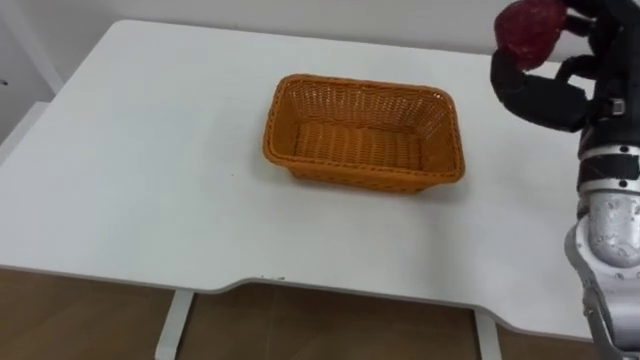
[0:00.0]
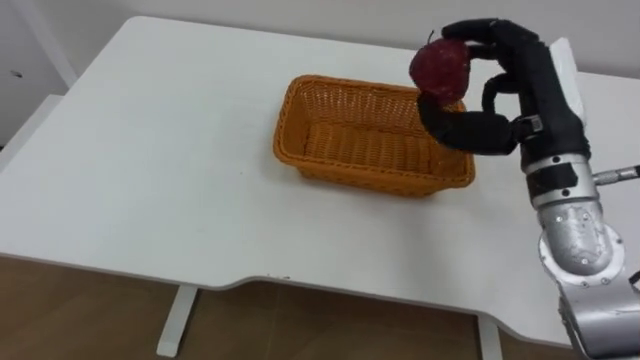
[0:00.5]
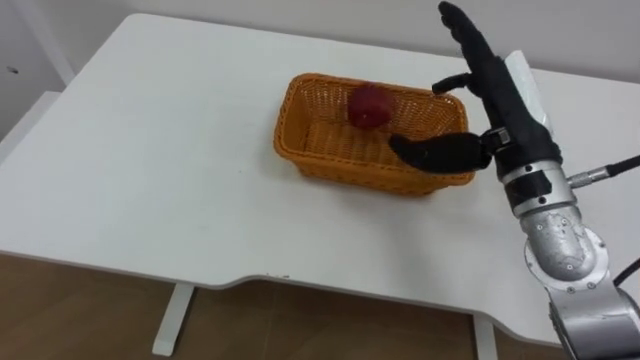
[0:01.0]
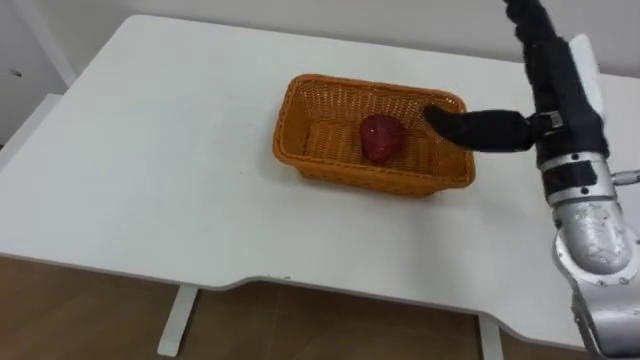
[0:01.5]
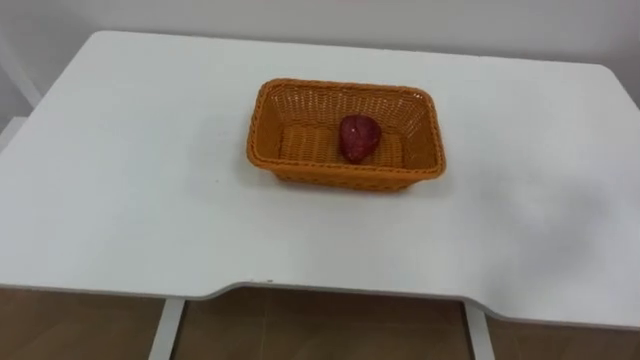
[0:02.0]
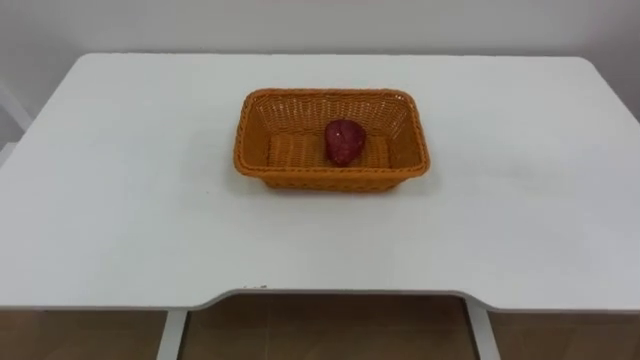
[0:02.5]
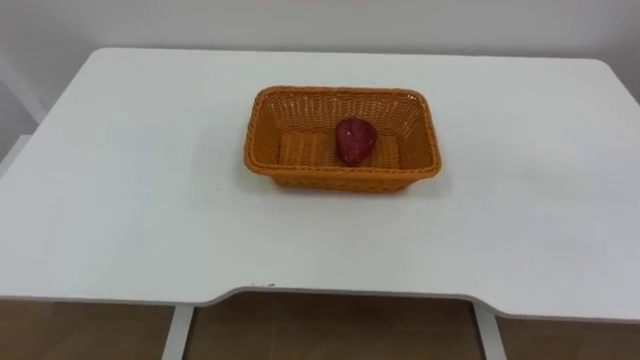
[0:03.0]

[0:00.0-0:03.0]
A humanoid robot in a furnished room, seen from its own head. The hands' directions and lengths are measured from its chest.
Task of the whole recording: Pick the apple and place it in the box.
0:00.0 to 0:01.5: The right hand goes approximately 5 cm to the left, and opens.

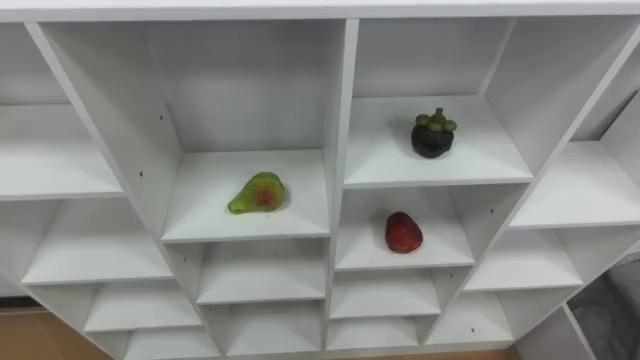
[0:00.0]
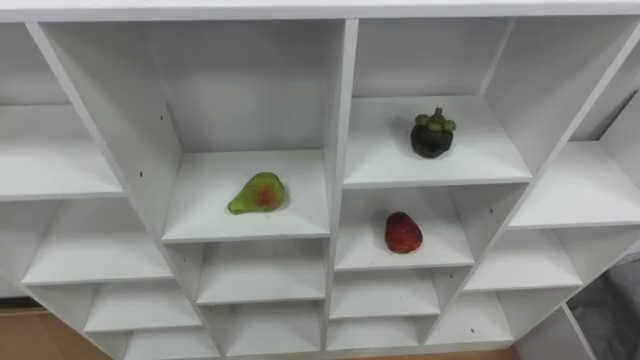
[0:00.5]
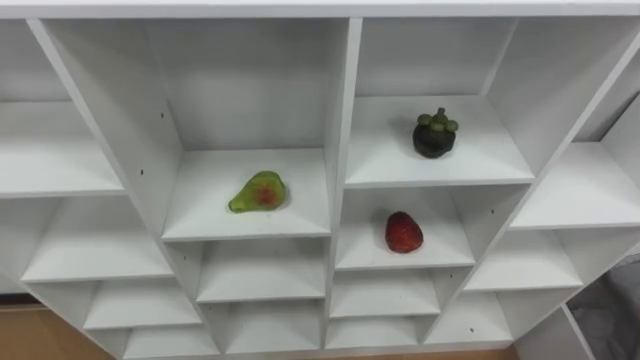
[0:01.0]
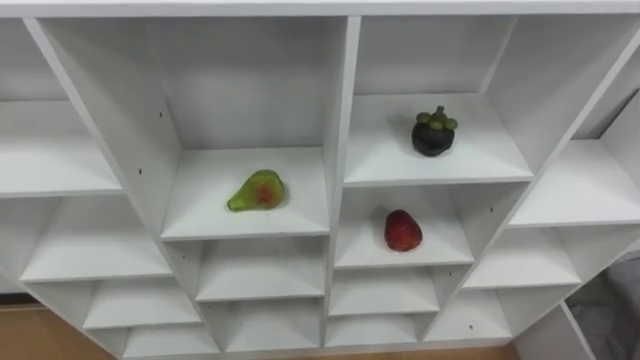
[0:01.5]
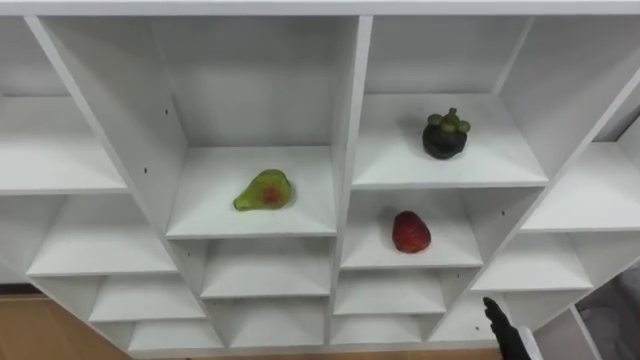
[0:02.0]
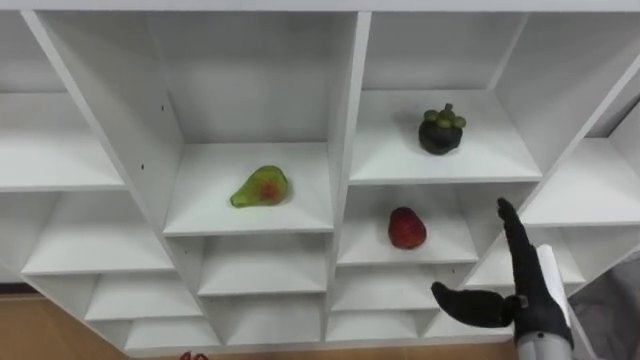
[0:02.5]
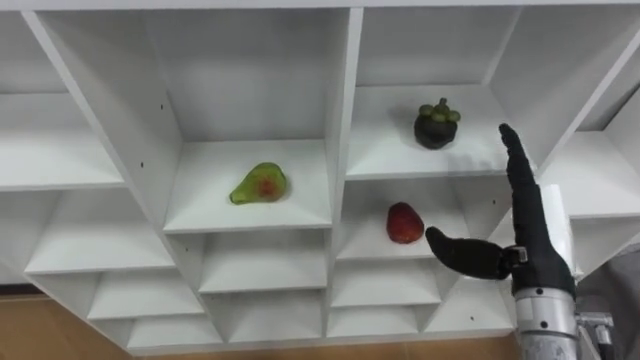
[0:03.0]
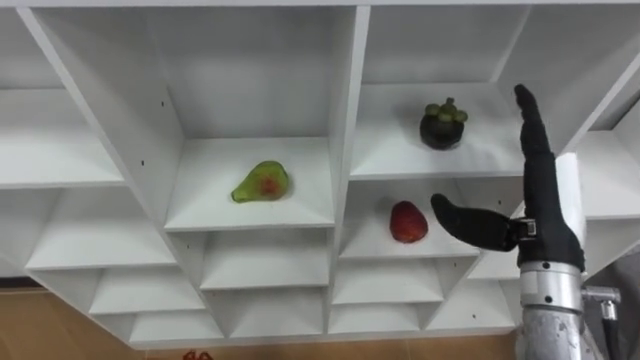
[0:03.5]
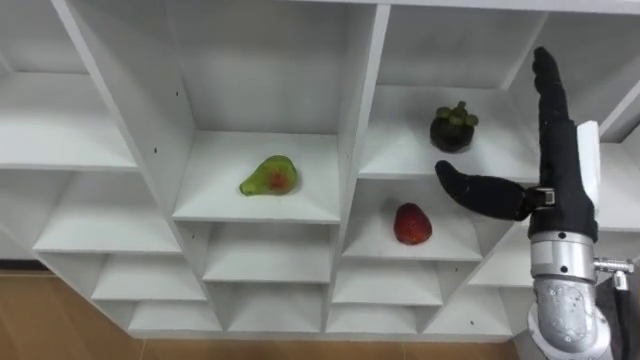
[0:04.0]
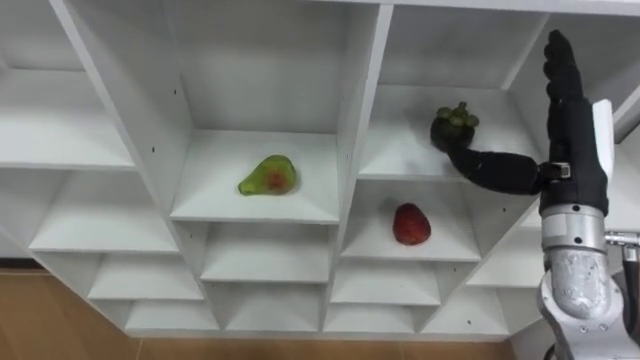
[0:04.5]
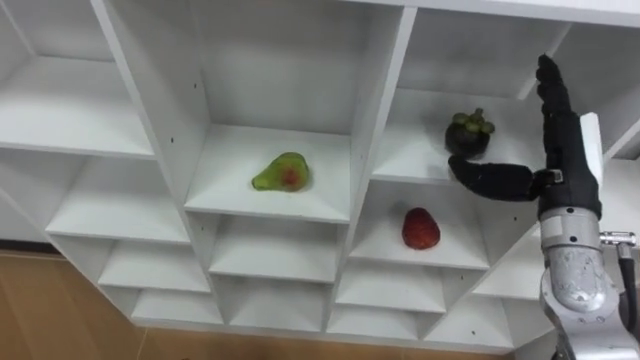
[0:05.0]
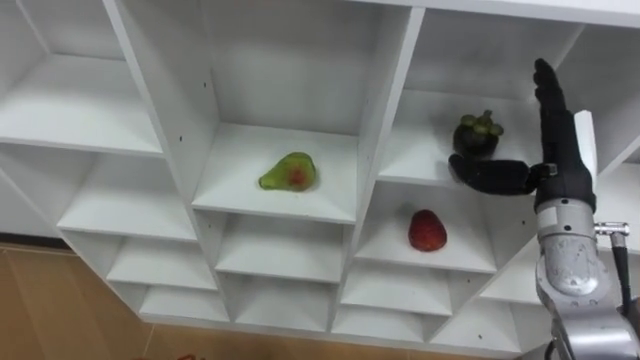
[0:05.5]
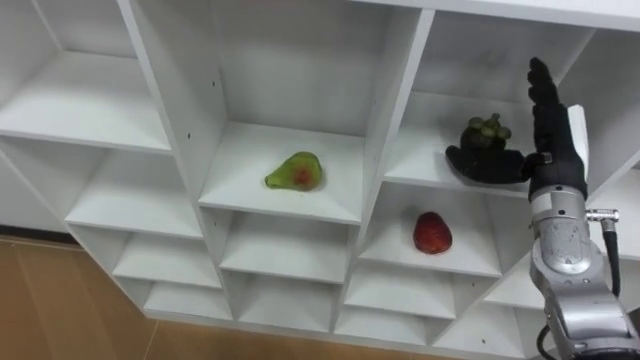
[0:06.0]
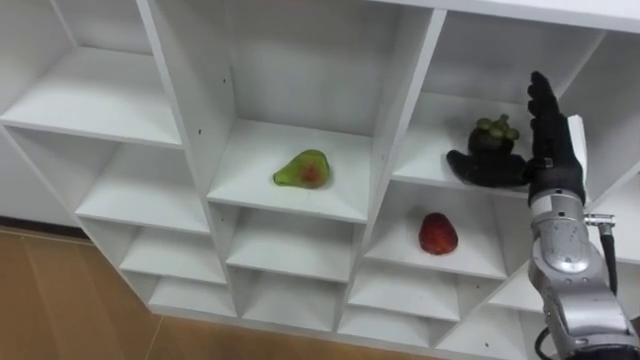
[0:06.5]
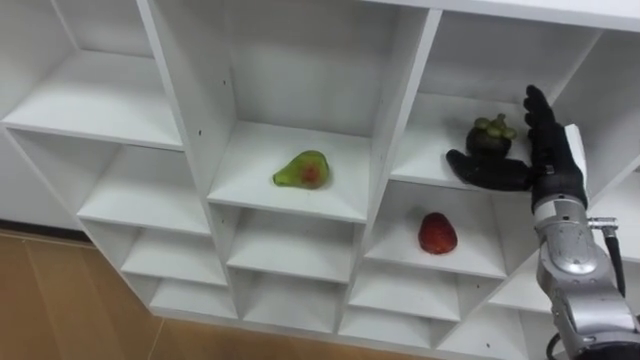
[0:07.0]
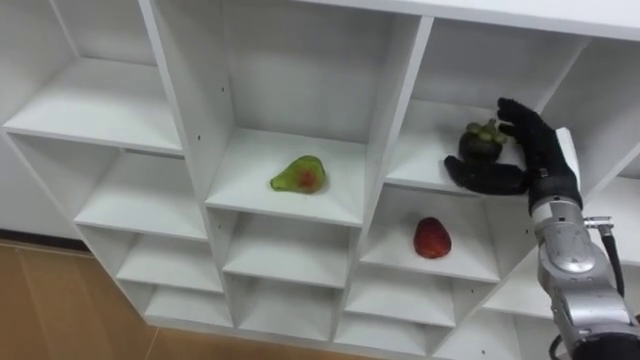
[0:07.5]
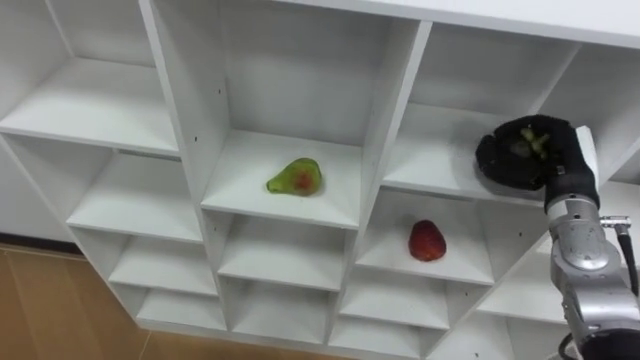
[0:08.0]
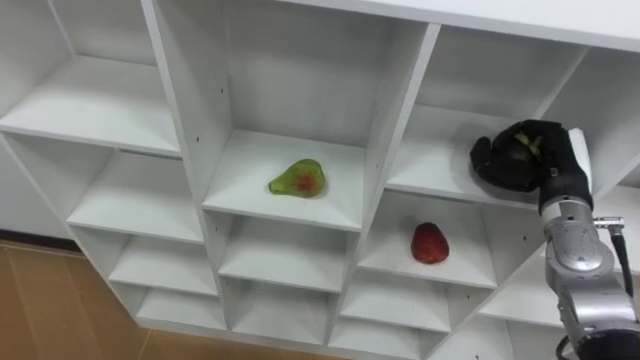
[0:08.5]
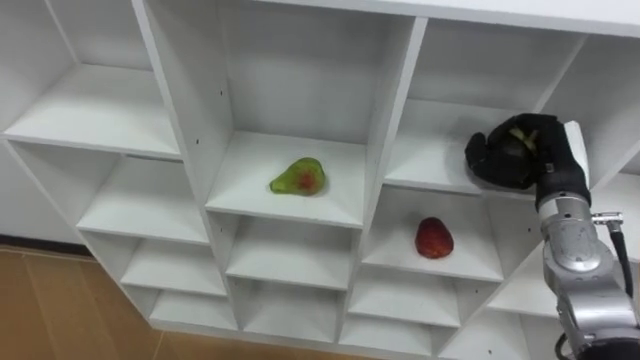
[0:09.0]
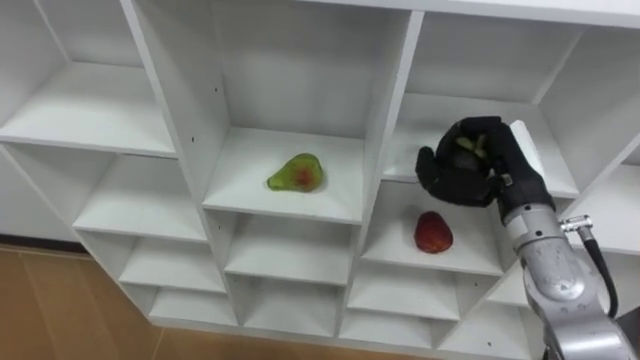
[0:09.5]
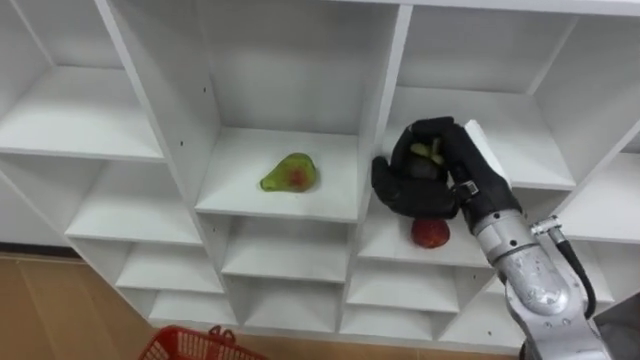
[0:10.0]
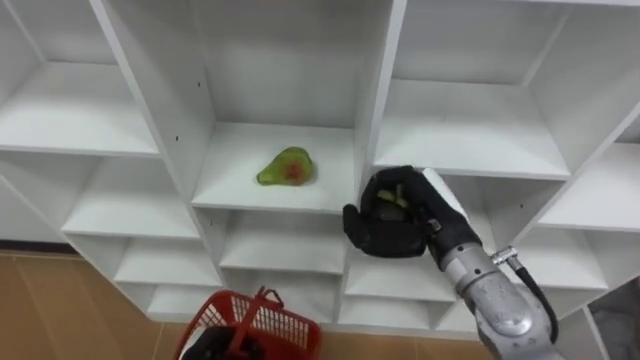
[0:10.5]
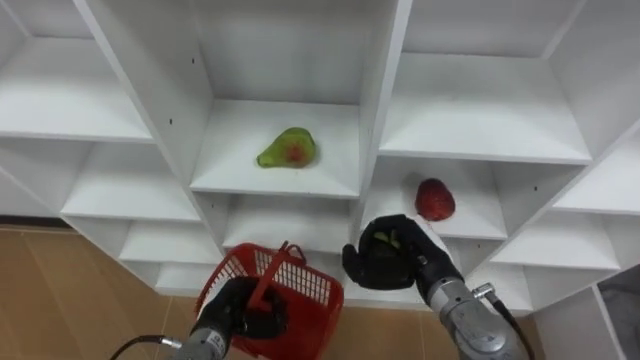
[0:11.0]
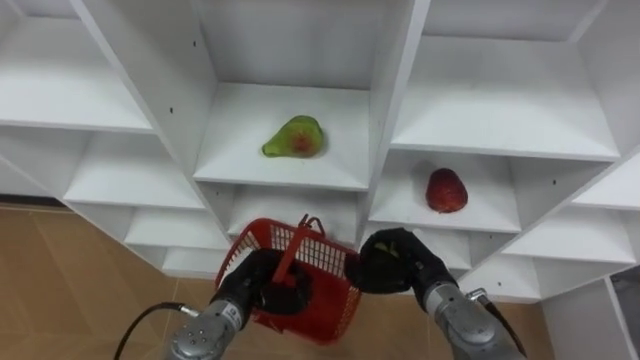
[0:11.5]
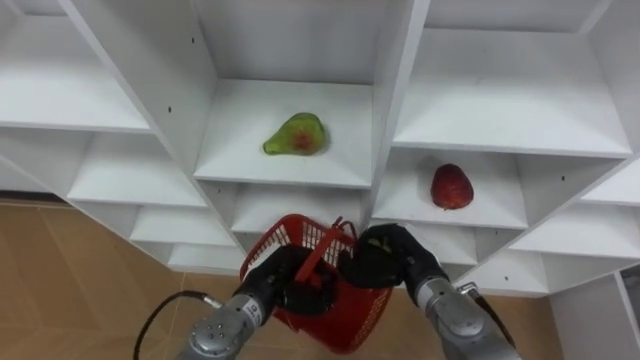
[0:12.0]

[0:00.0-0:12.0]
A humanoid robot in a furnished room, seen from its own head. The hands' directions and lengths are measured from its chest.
Task of the whole recording: Hold the basket and collect the fruits from 3 different cells of the closet into it.
0:04.0 to 0:06.0: The right hand travels forward by some 5 cm.
0:06.0 to 0:08.0: The right hand shifts by about 5 cm, and closes up.
0:08.0 to 0:10.0: The right hand goes about 15 cm to the left and upward.
0:10.0 to 0:12.0: The right hand moves downward, roughly 15 cm.

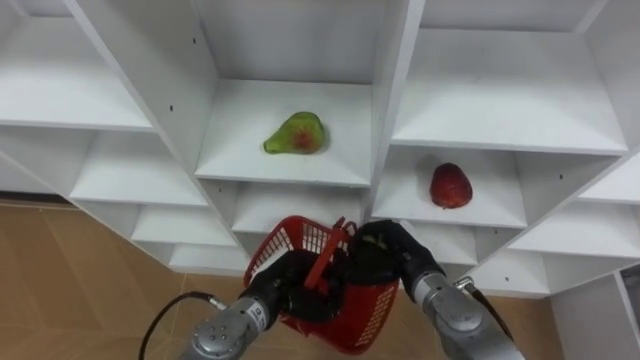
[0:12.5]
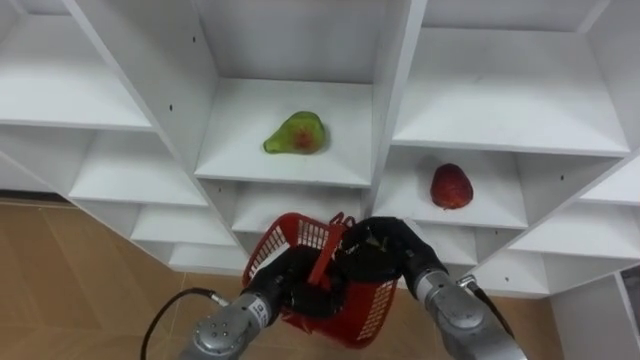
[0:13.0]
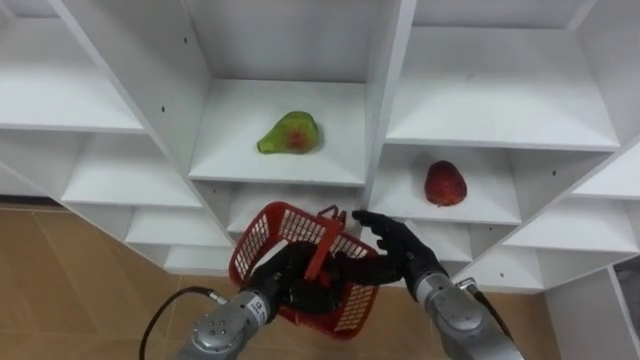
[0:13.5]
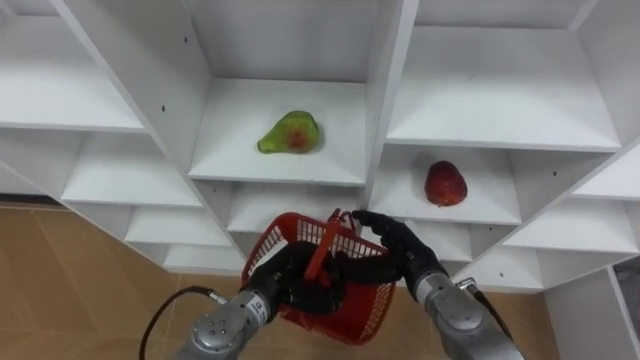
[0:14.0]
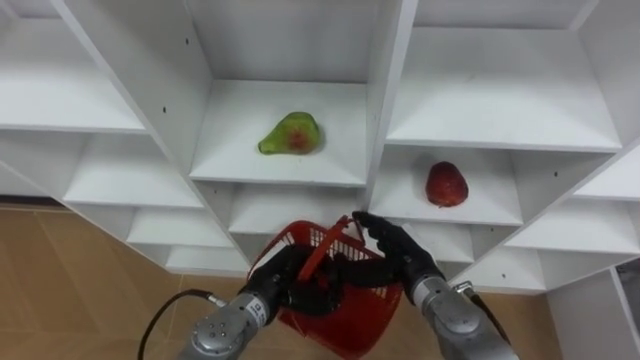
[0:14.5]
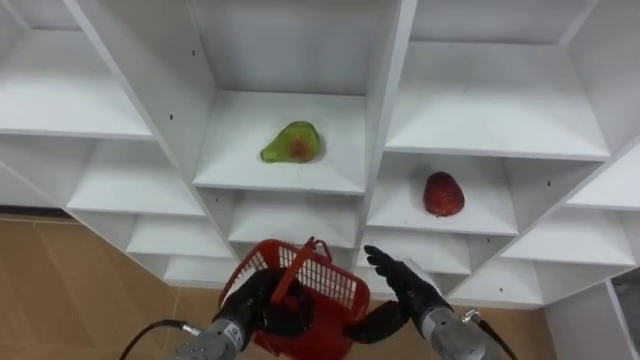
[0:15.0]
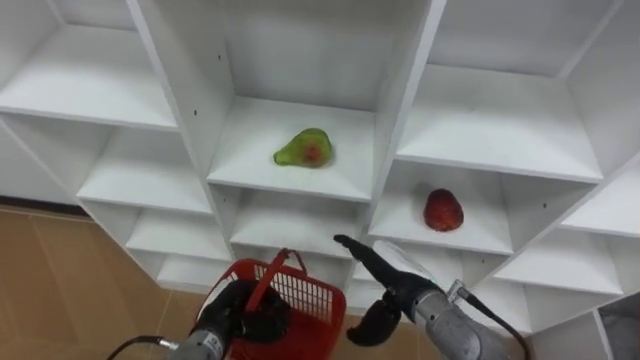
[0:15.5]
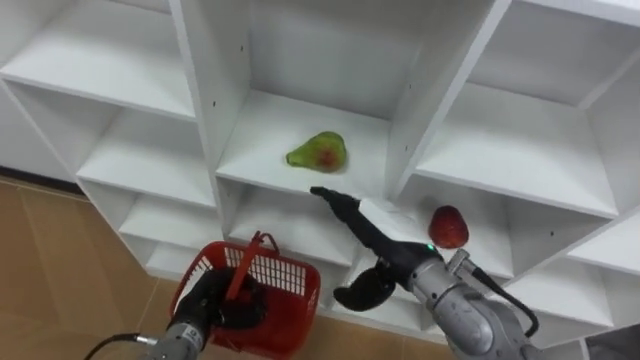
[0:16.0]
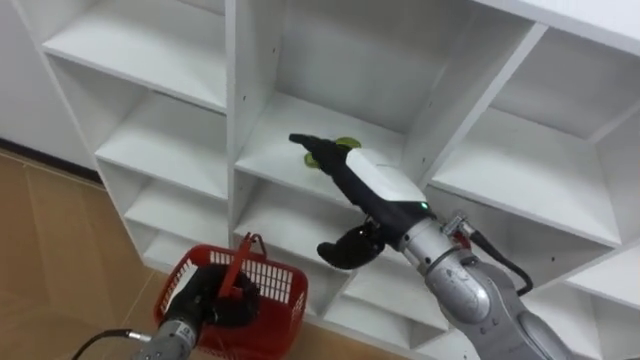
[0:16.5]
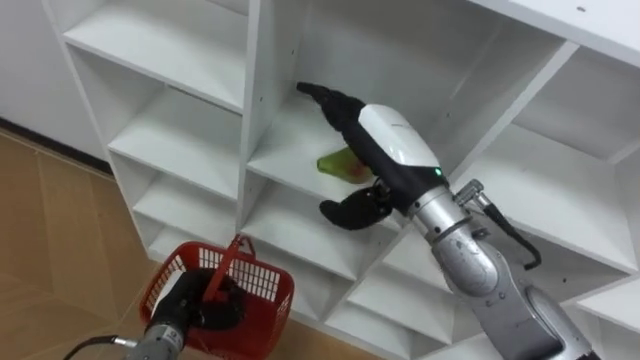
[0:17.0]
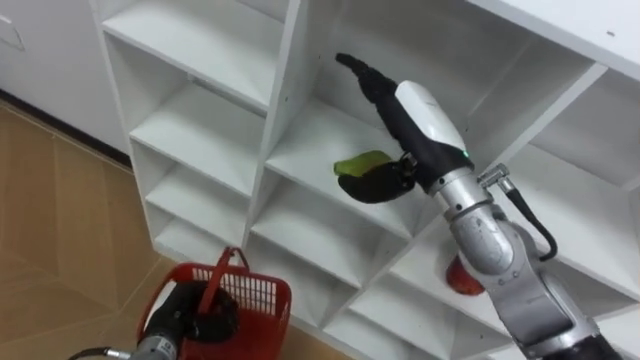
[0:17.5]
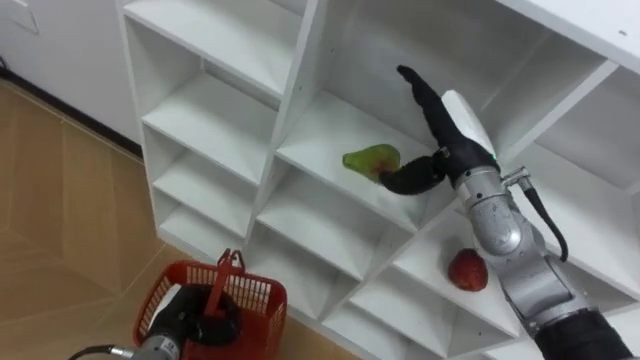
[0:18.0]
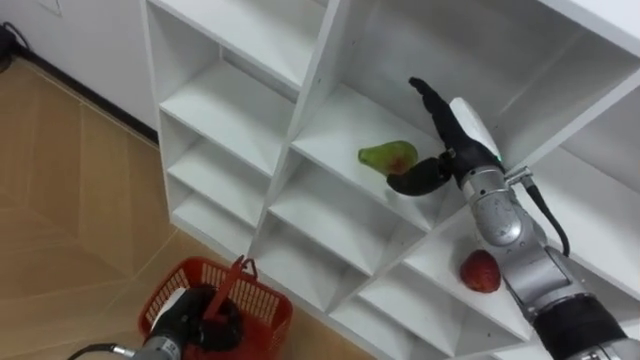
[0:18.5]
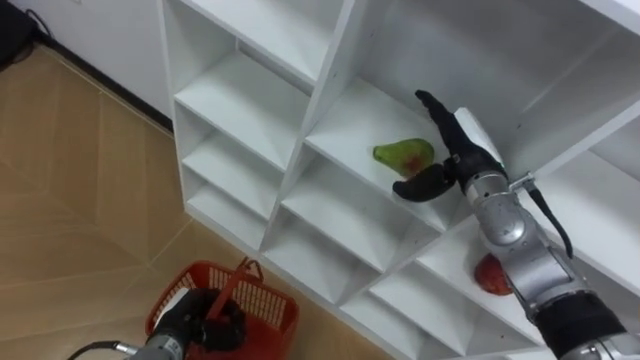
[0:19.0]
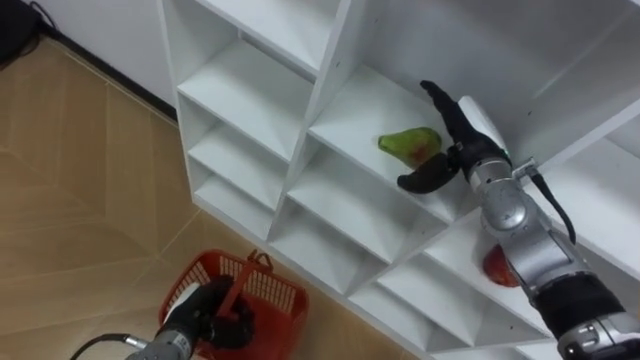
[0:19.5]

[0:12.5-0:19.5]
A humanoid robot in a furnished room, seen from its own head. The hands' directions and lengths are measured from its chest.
Task of the whole recording: Hold the basket and collect the fruits from 3 different cells of the closet into it.
0:12.5 to 0:14.5: The right hand opens up.
0:14.5 to 0:16.0: The right hand goes some 10 cm upward. Meanwhile the left hand is displaced to the left by about 10 cm.
0:16.0 to 0:17.5: The right hand heads upward and forward, covering about 15 cm.
0:17.5 to 0:19.5: The right hand moves to the right, downward and forward, approximately 15 cm.
